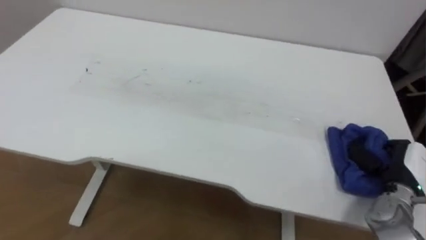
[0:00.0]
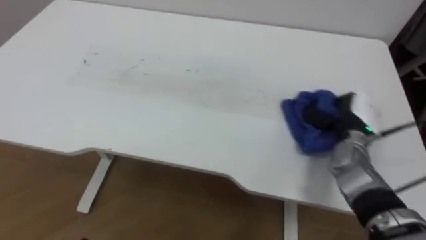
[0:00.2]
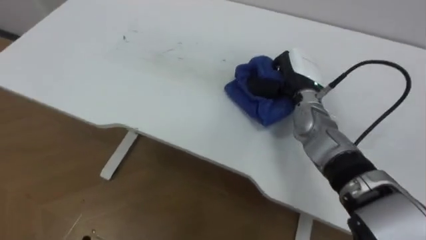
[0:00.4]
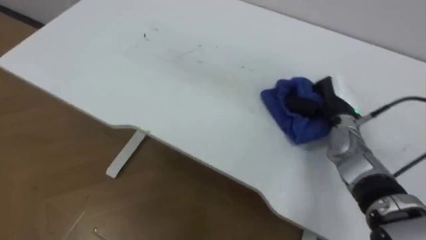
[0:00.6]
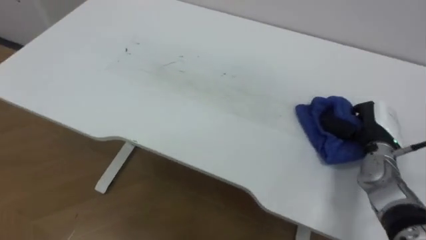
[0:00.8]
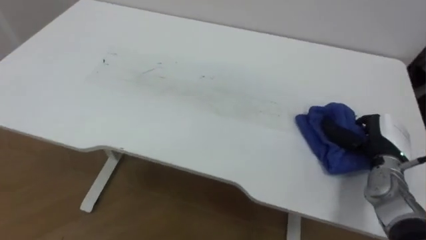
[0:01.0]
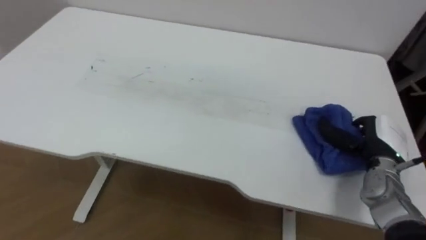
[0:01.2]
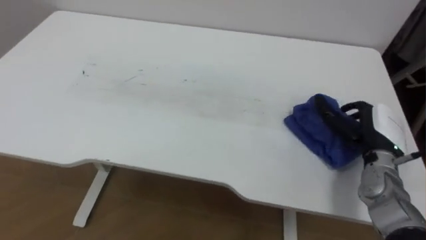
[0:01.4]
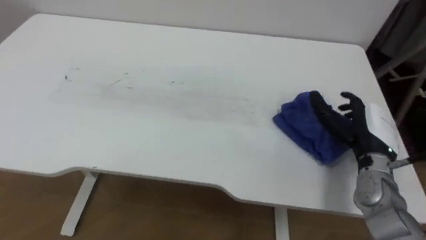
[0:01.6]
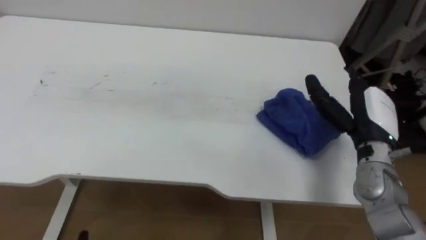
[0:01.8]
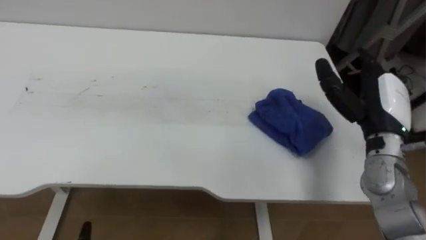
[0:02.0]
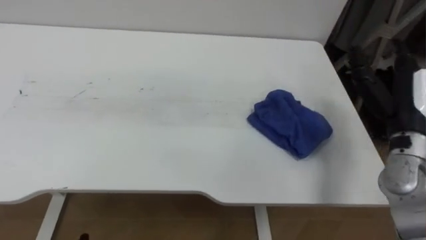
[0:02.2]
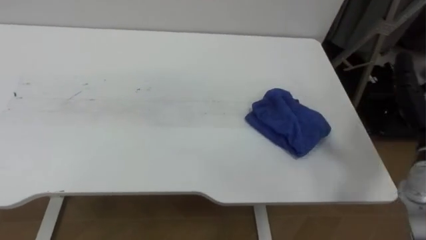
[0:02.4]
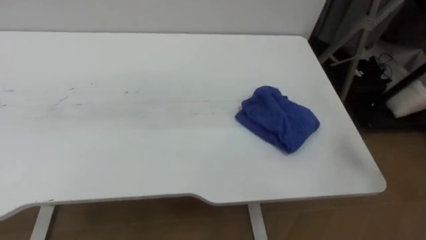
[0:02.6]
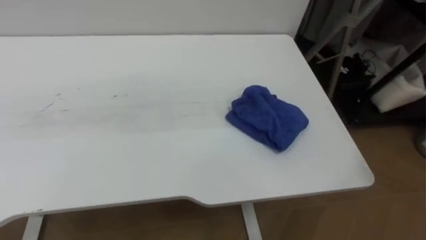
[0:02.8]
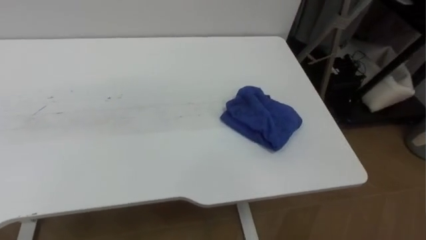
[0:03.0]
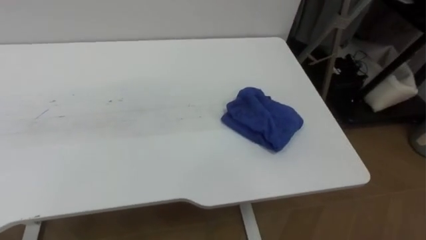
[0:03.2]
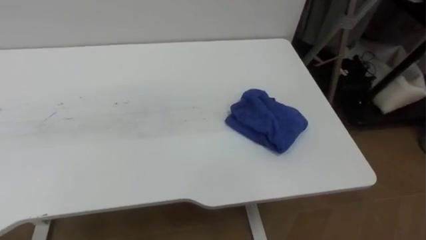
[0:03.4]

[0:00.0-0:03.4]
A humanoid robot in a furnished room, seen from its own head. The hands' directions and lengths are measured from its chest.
Task of the whole recording: Wipe the blue pen marks off the table with the rag.
0:00.0 to 0:01.6: The right hand goes left and right, approximately 20 cm each way, reversing 2 times, and opens.

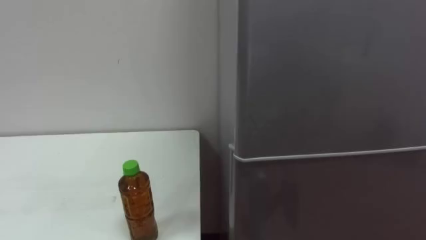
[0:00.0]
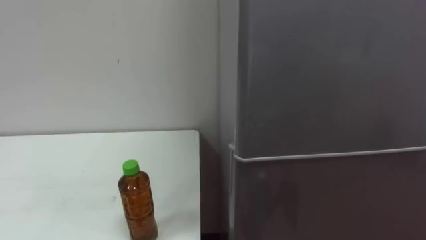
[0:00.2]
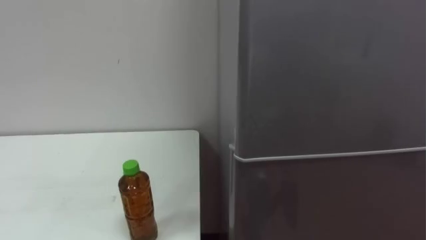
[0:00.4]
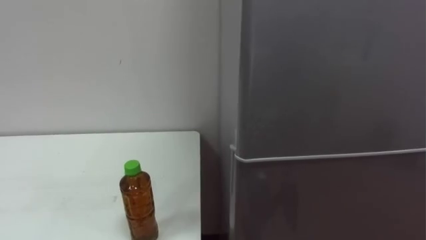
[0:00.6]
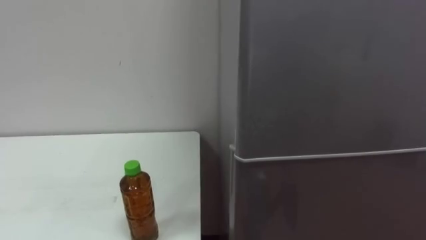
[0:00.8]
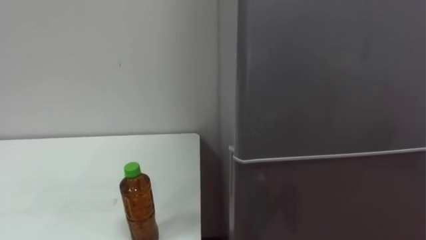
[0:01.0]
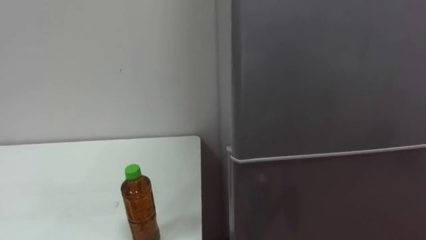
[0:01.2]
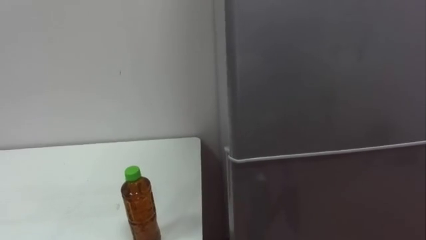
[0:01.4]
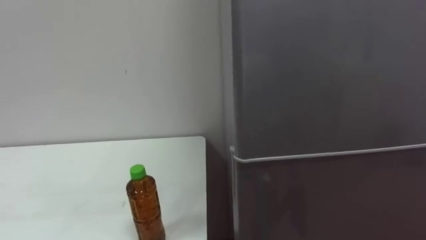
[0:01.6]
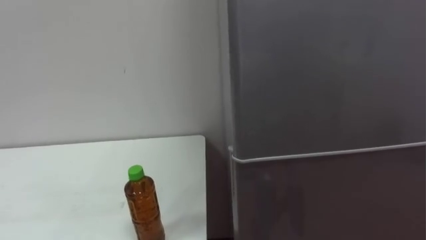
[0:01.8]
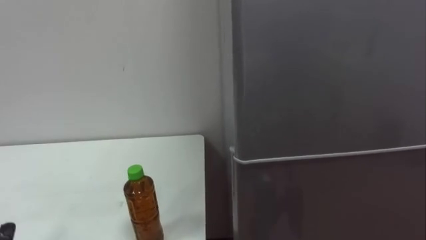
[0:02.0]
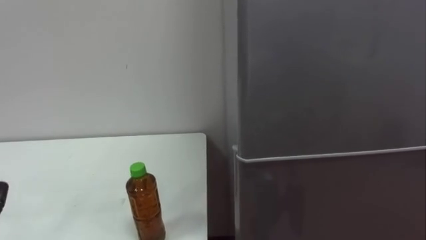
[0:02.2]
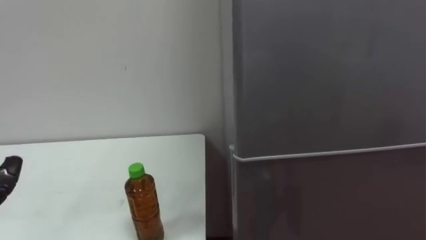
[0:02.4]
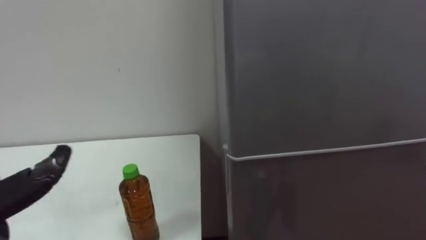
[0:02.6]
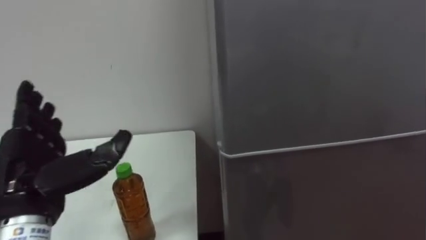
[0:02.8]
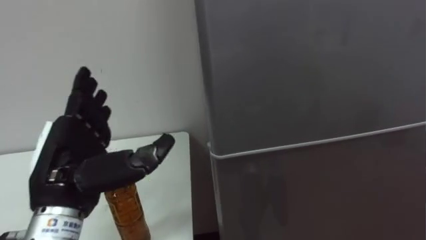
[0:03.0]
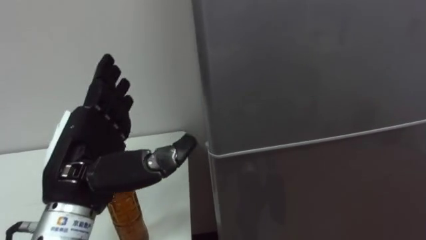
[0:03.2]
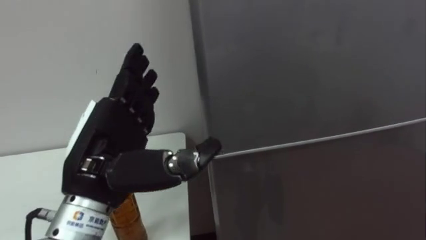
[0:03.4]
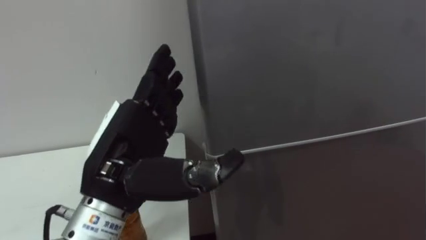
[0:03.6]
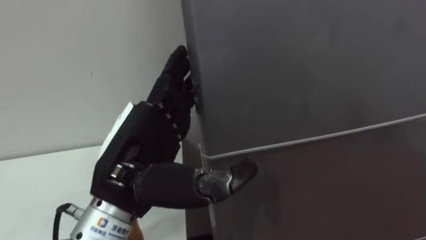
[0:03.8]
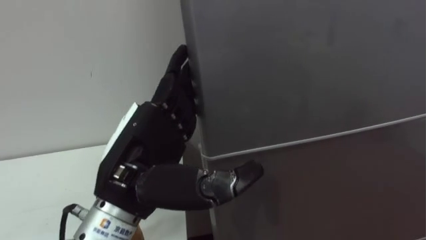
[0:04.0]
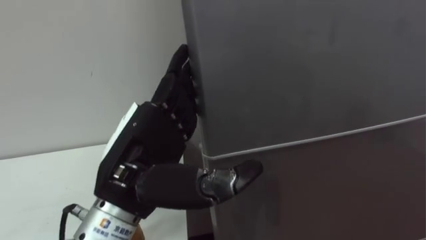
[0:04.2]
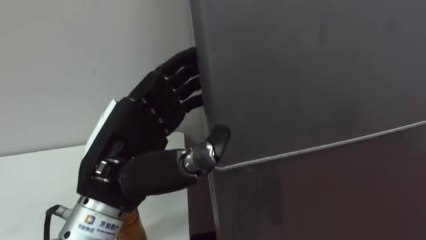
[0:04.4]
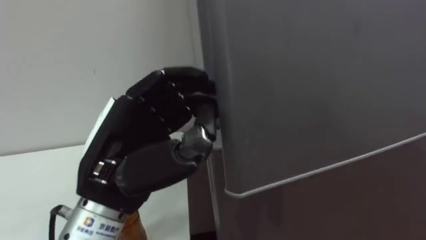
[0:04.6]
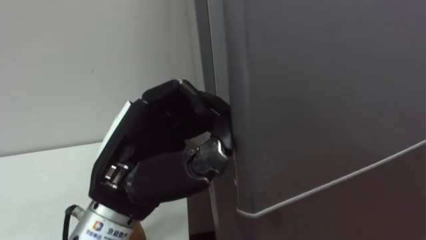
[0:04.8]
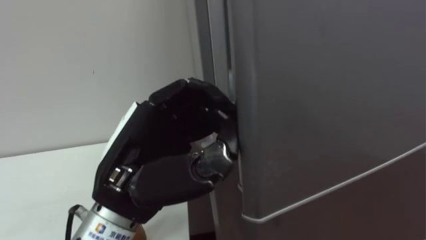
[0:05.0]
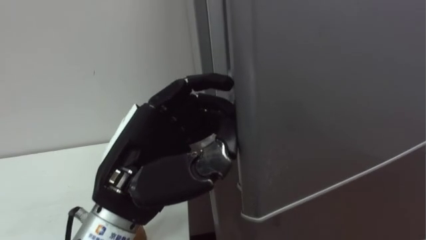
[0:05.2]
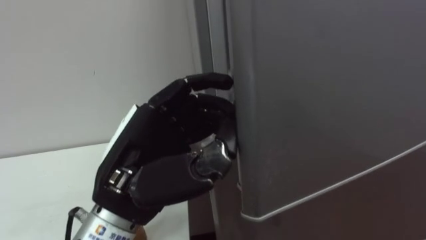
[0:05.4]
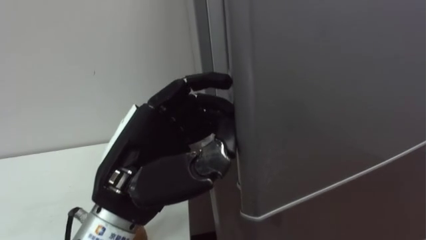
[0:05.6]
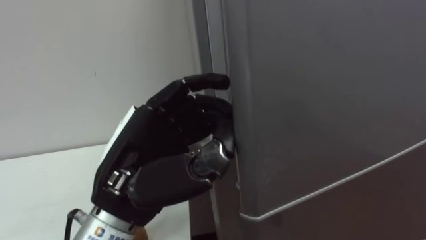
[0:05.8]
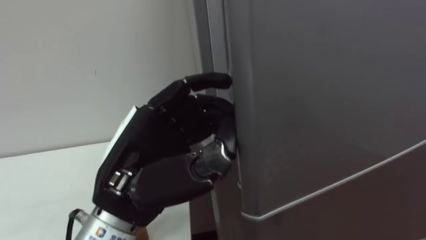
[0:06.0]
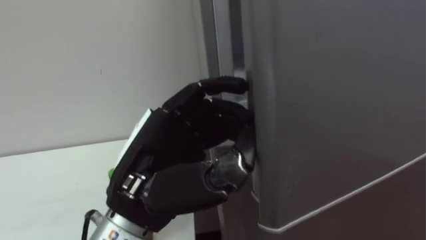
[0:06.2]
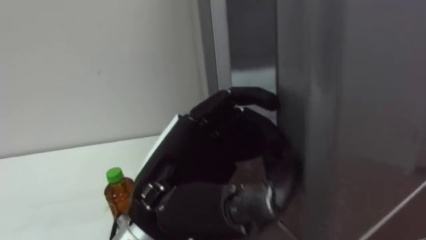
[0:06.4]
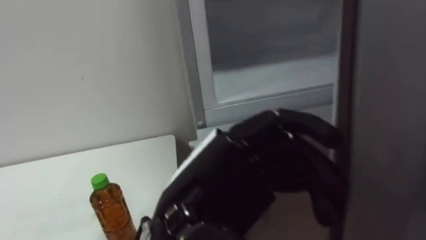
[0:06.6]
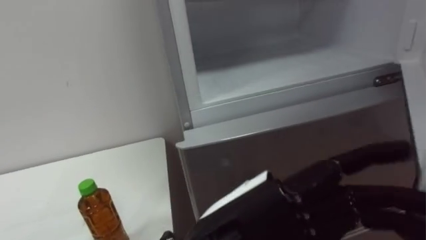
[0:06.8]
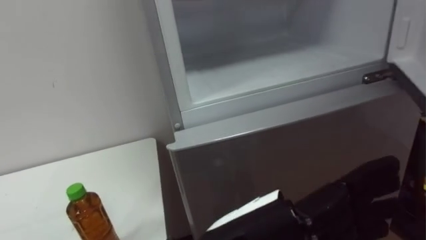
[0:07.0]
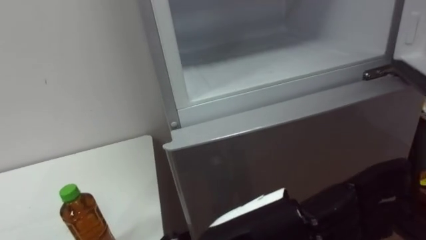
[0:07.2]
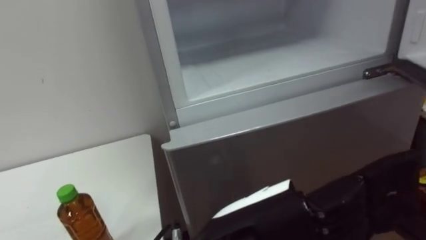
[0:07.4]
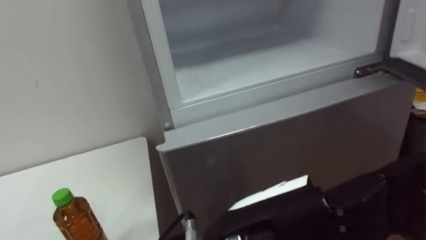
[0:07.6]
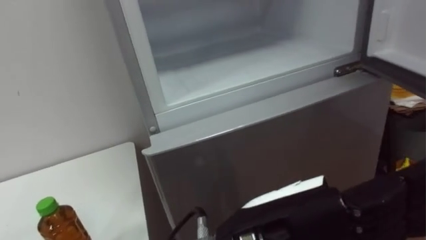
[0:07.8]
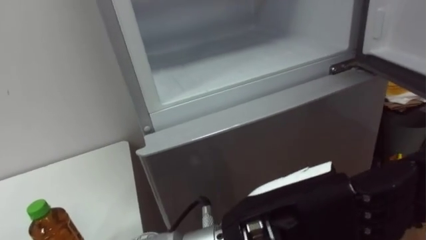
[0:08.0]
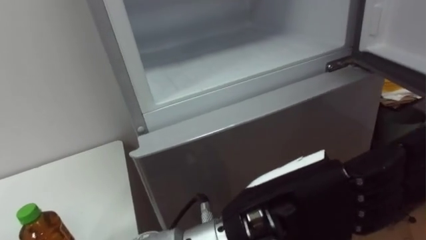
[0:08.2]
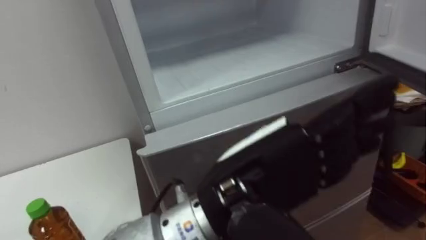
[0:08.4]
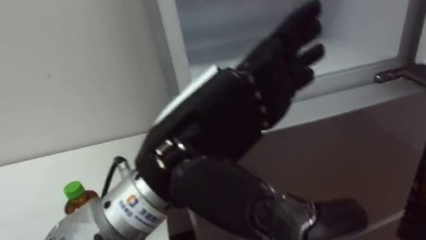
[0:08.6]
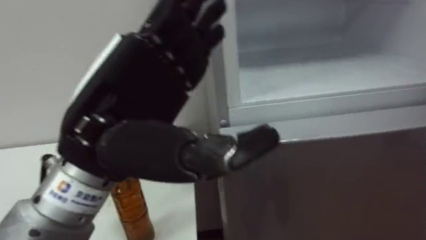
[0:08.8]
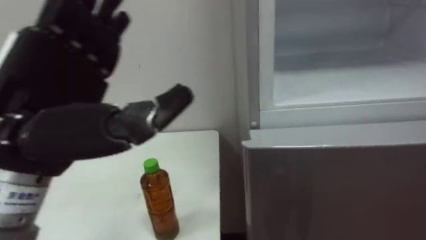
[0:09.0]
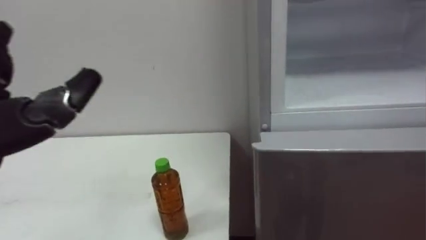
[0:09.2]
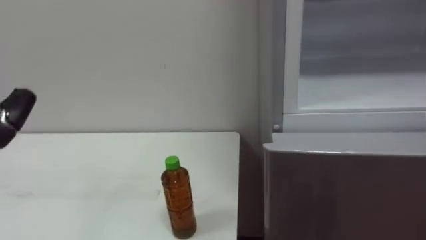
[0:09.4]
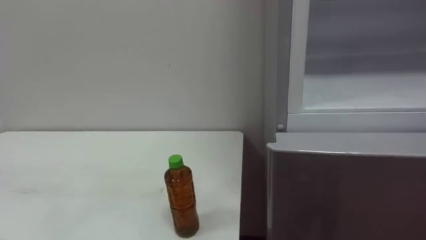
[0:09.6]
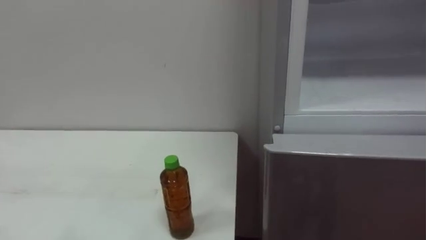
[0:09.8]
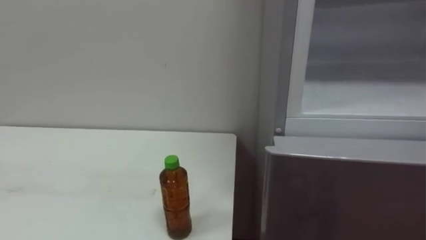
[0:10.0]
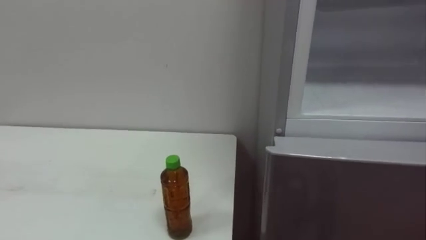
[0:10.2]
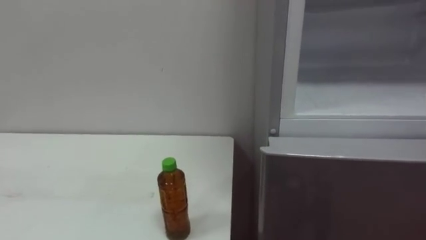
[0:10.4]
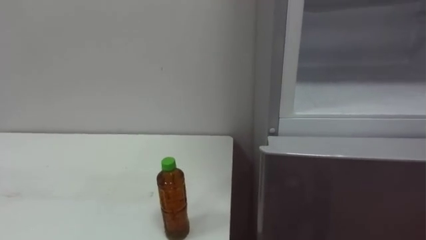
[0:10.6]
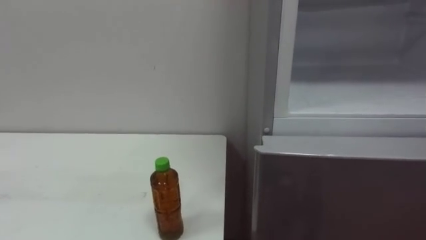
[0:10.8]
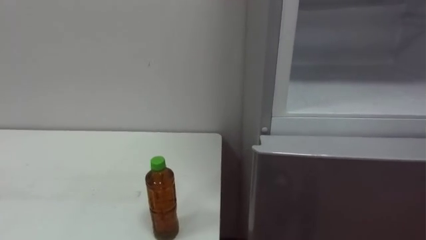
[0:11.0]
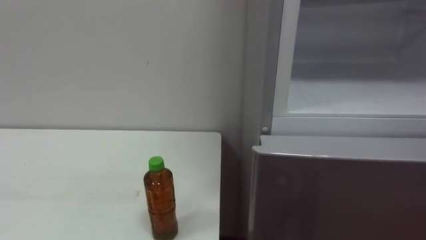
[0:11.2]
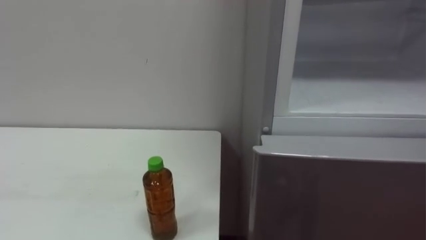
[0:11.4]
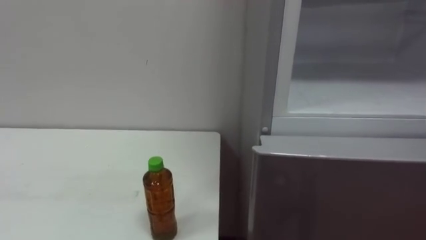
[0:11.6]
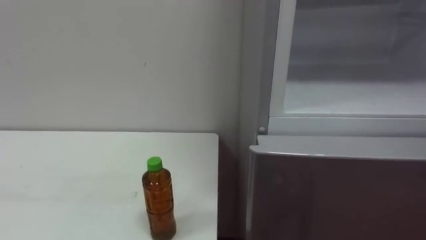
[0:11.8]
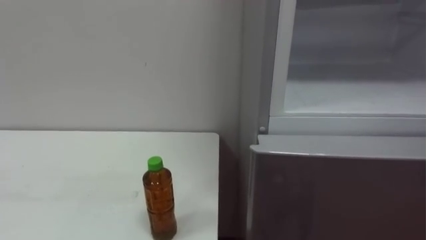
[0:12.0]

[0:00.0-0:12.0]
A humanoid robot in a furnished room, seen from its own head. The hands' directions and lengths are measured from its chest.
Task of the whole recording: Open the upper refrigerator door, put the drink from the table into the refrigerator, and then close the refrigerator door.
0:03.0 to 0:04.4: The left hand is displaced to the right by roughly 10 cm.
0:04.4 to 0:06.0: The left hand closes, then opens again.
0:06.0 to 0:07.6: The left hand is displaced to the right and backward by about 15 cm.
0:07.6 to 0:09.0: The left hand shifts approximately 20 cm to the left and upward.

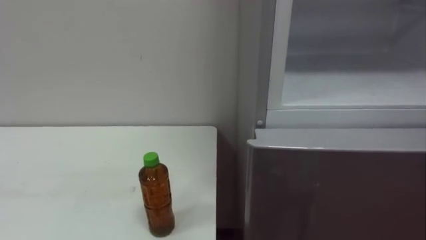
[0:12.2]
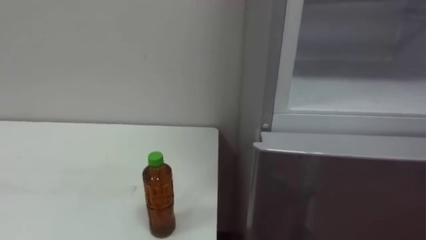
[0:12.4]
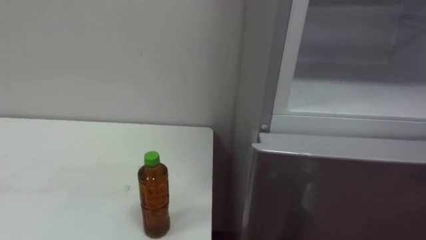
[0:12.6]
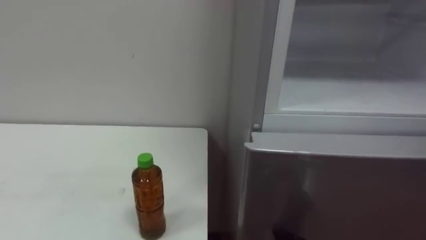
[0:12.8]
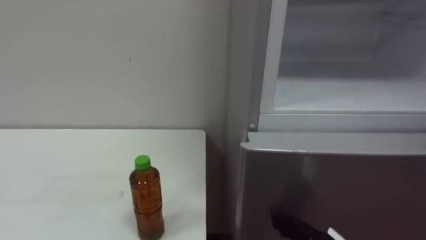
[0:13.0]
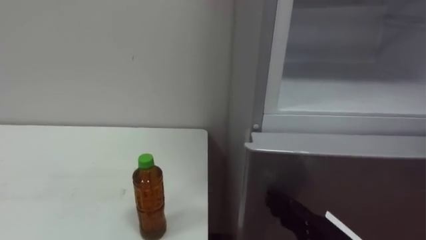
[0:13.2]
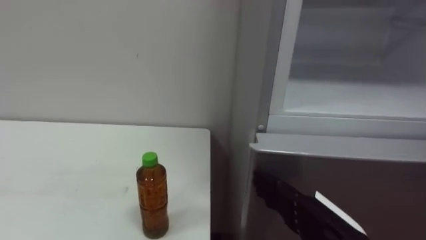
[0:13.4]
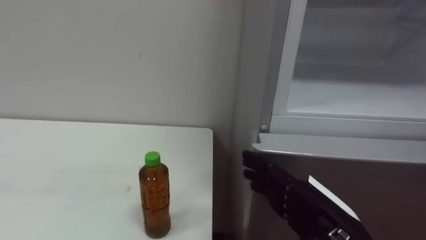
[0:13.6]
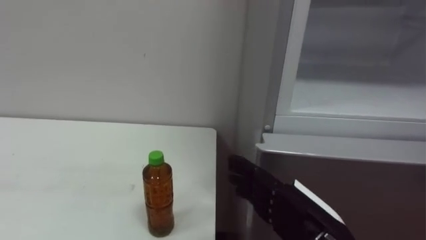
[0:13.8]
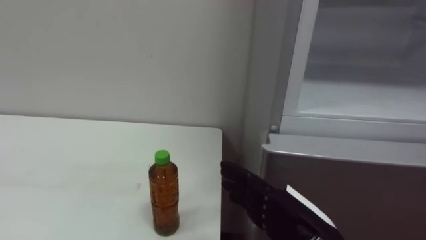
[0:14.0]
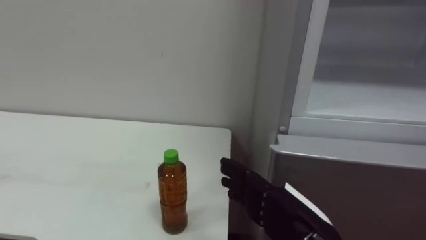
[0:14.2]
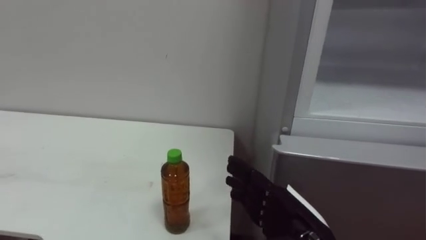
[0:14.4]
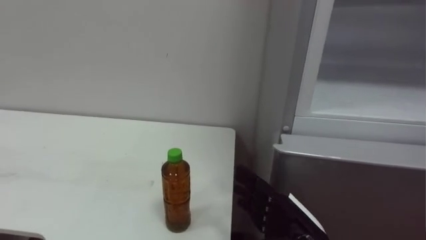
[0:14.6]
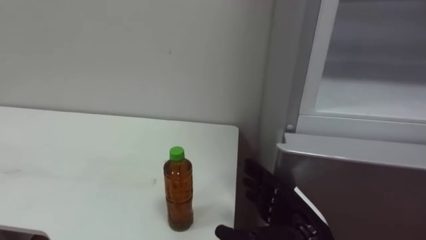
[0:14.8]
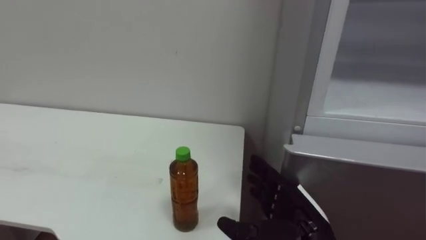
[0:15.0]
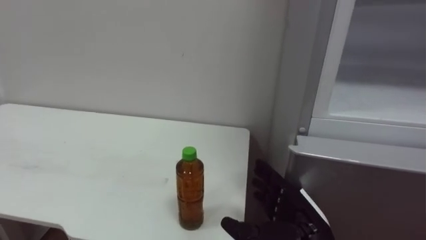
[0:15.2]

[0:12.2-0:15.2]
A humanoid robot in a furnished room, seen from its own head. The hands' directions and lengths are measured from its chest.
Task of the whole recording: Open the upper refrigerator door, put the drink from the table into the refrigerator, and then close the refrigerator door.
0:13.8 to 0:15.2: The right hand goes roughly 5 cm downward.
